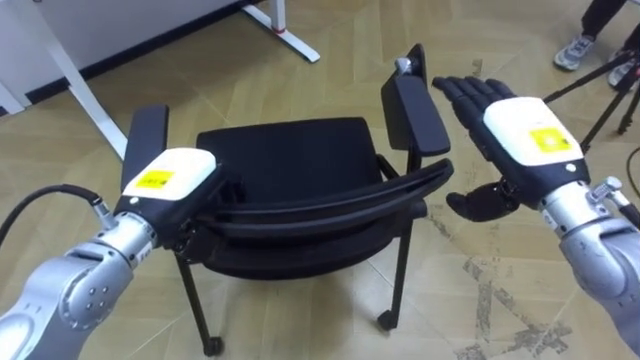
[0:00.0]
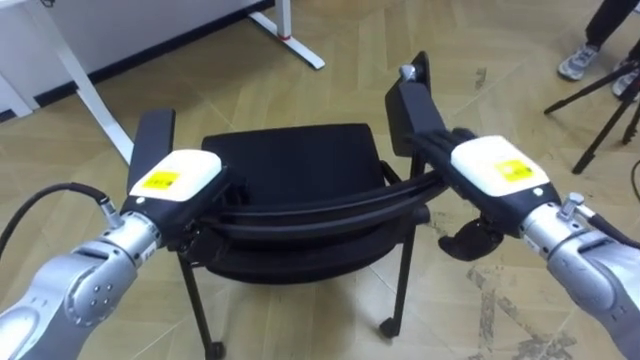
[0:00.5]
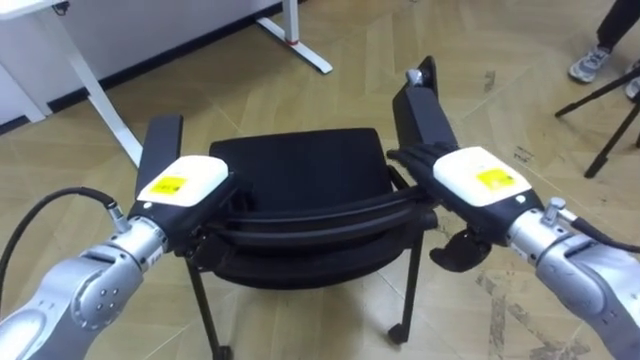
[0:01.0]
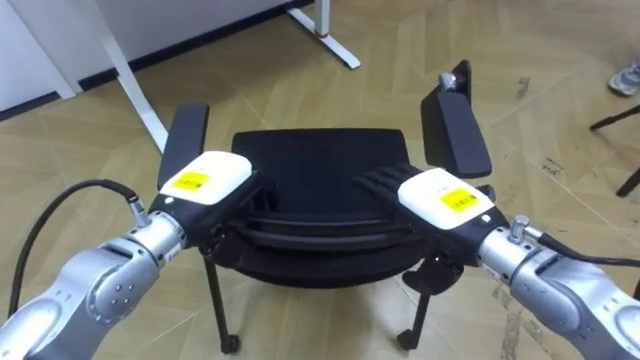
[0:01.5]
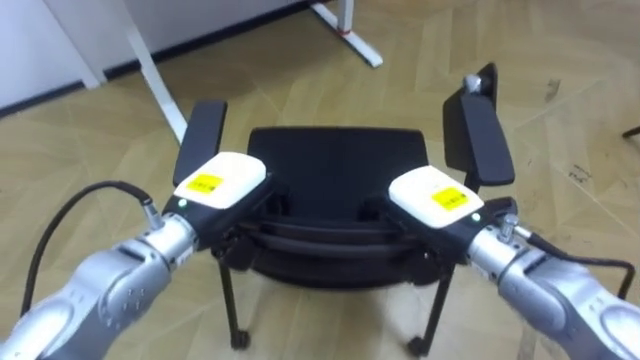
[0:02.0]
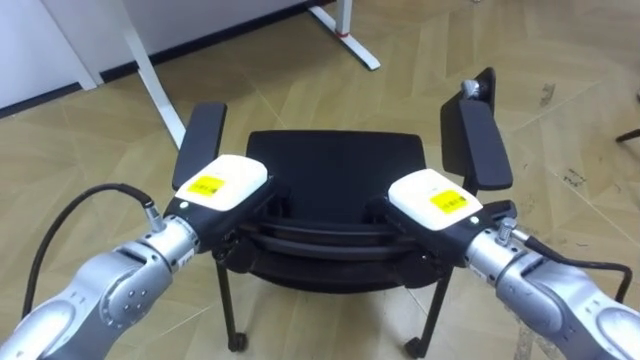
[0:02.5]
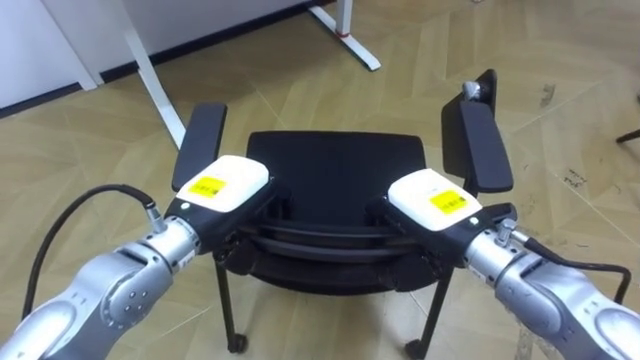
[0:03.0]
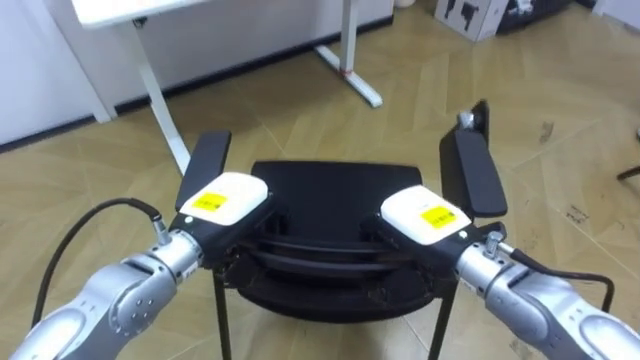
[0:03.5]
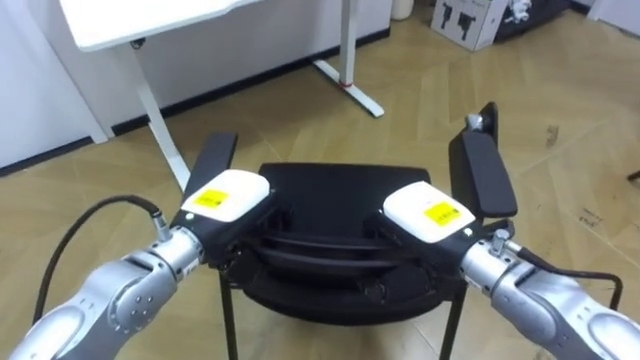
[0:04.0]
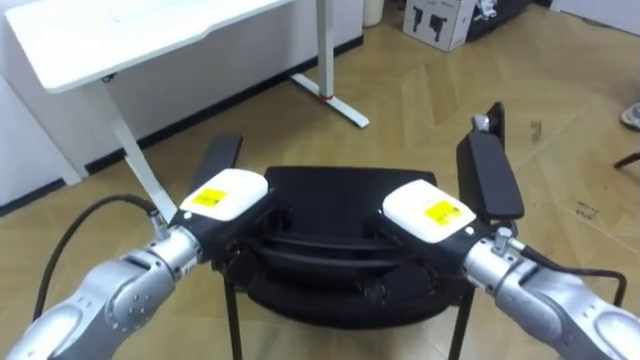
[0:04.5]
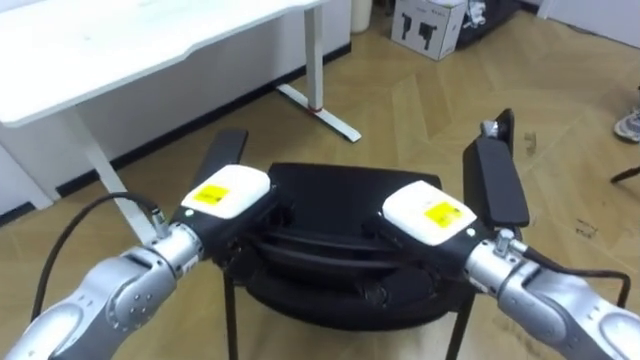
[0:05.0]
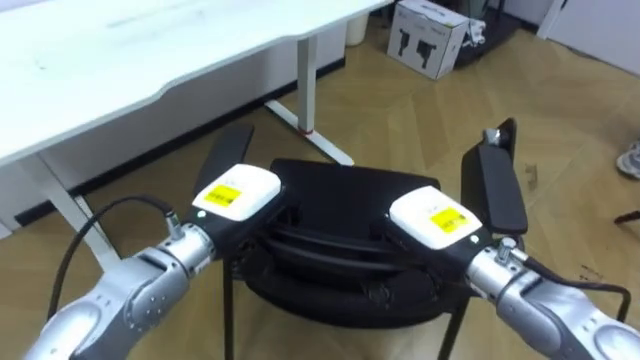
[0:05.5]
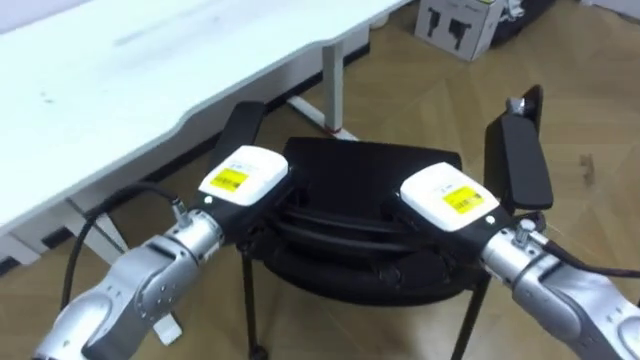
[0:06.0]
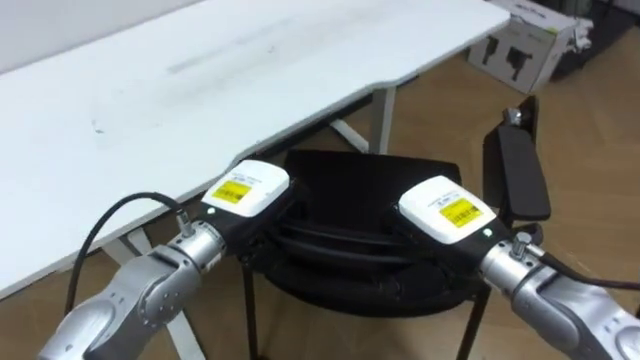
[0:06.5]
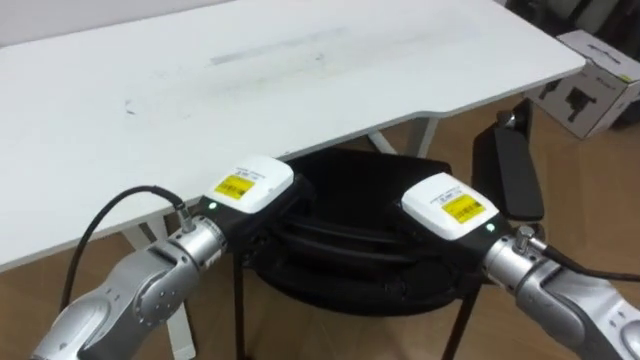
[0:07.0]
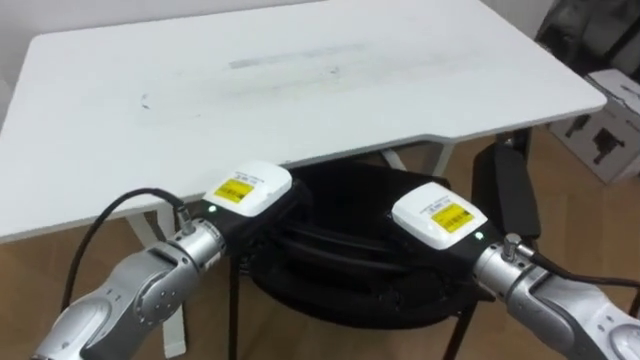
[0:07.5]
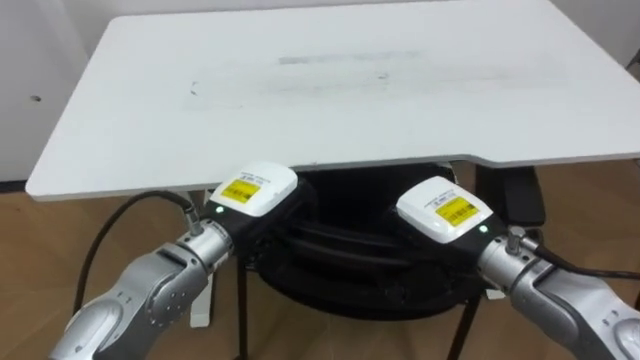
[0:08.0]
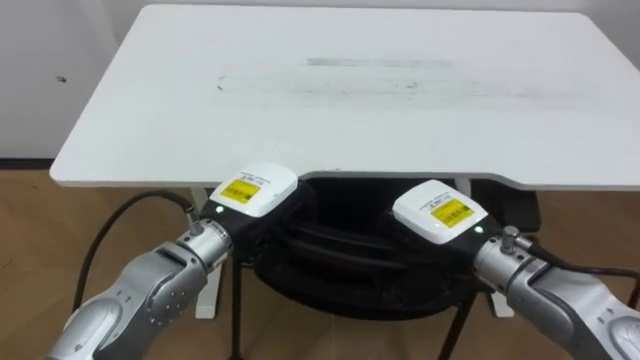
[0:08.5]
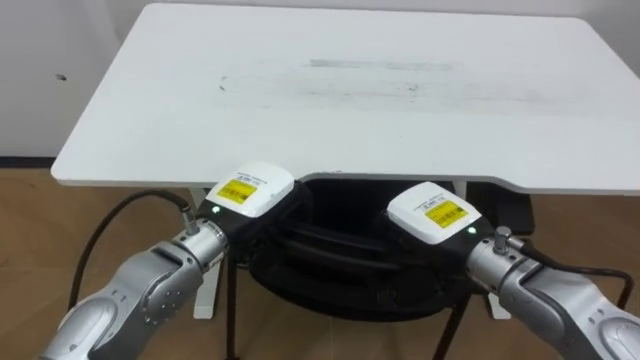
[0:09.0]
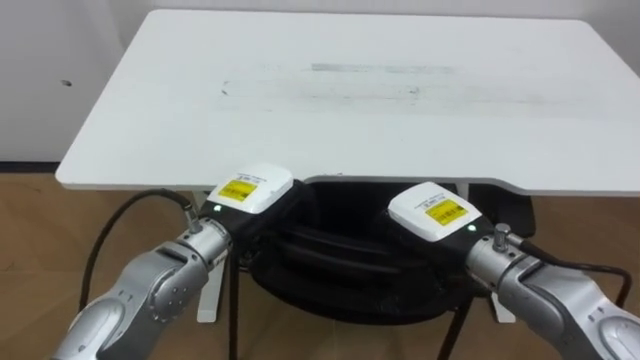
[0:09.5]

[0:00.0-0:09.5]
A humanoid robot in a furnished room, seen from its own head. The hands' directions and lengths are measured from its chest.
Task of the whole recording: Push the chair under the table.
0.0 to 2.0 s: The left hand travels to the right by some 5 cm, while the right hand is displaced to the left and downward by approximately 10 cm, and closes up.
2.0 to 4.0 s: The right hand closes up.
5.5 to 7.5 s: The robot turns to its left by approximately 20 degrees.

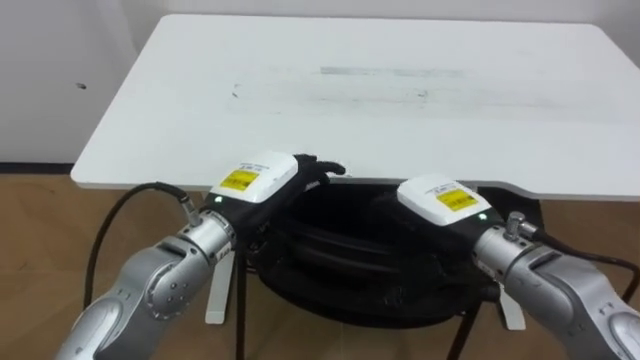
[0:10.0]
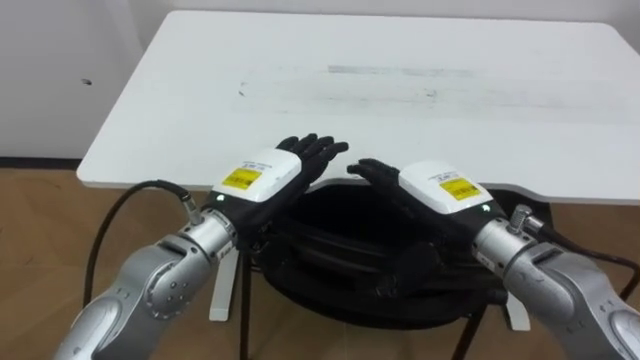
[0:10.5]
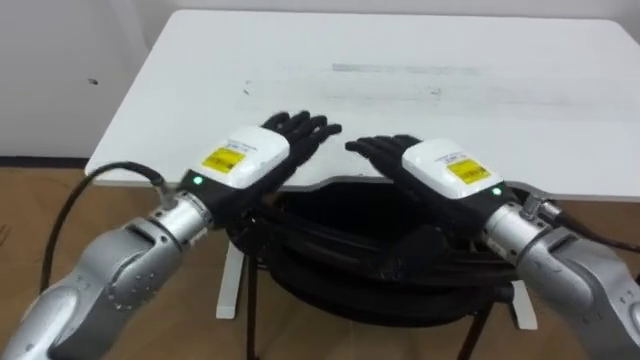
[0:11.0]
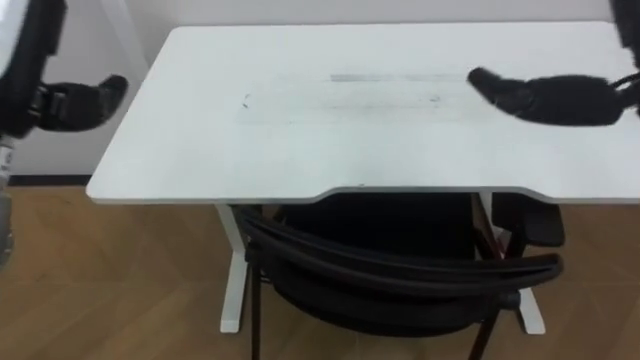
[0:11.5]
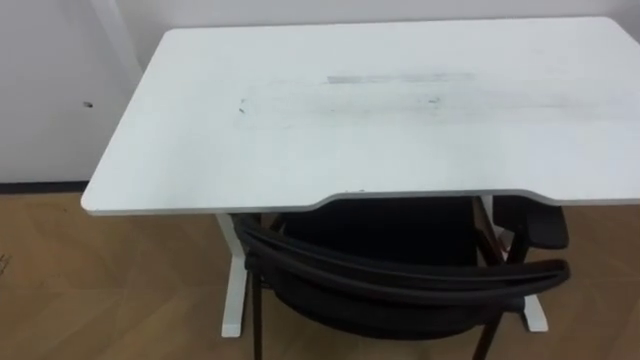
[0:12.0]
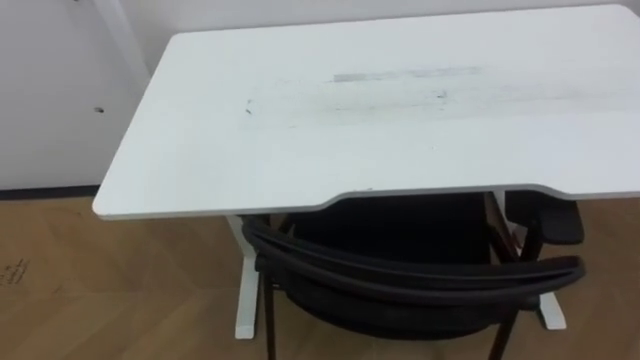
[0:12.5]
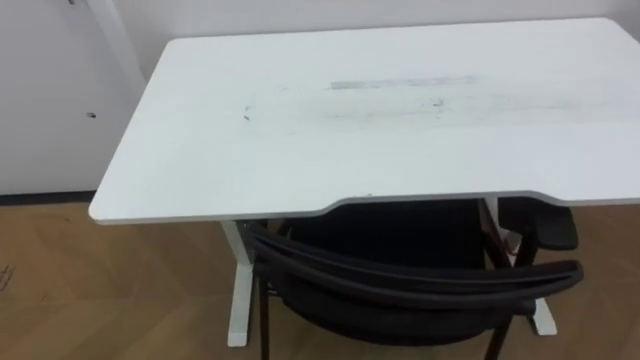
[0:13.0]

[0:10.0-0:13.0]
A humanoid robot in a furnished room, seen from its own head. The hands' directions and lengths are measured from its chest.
Task of the whole recording: Push the chair under the table.
10.0 to 11.5 s: The left hand heads upward and to the left, covering approximately 25 cm.

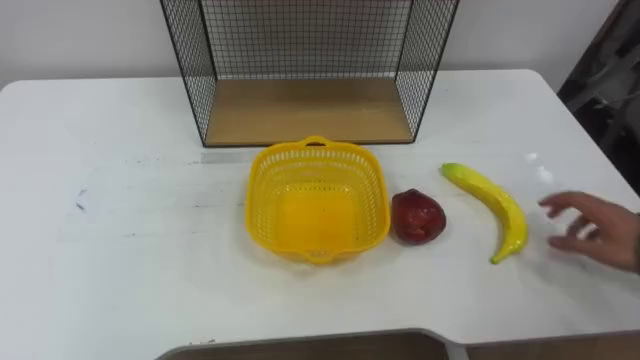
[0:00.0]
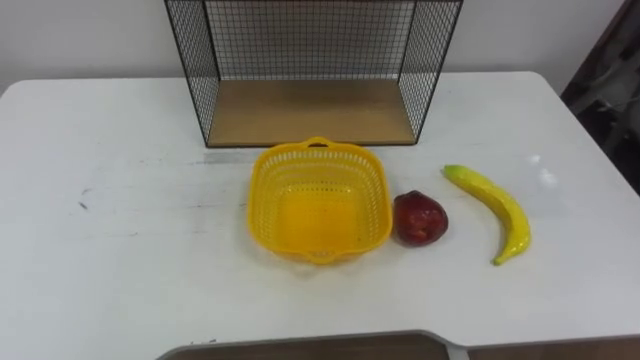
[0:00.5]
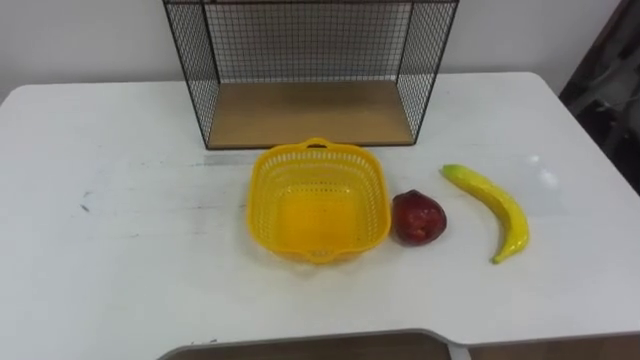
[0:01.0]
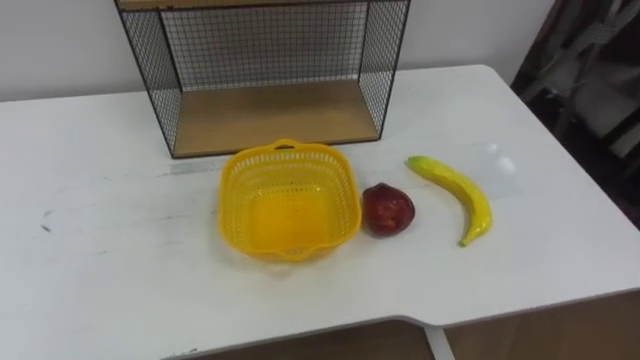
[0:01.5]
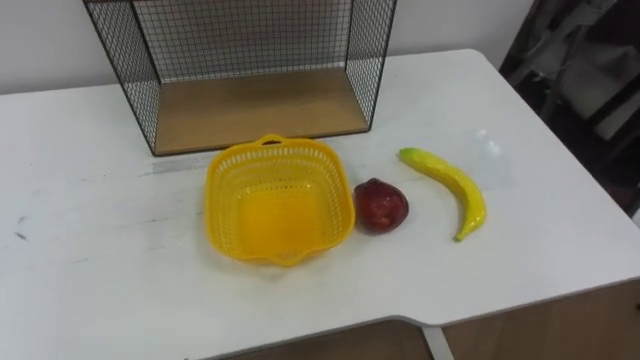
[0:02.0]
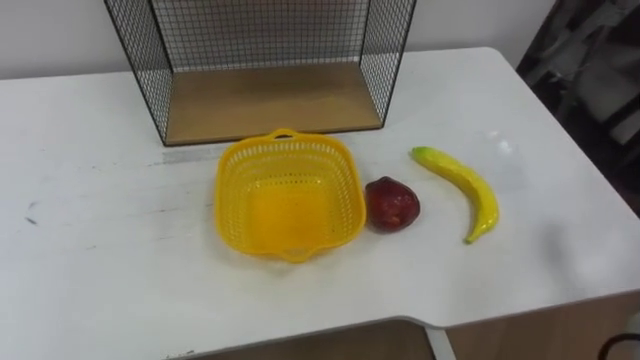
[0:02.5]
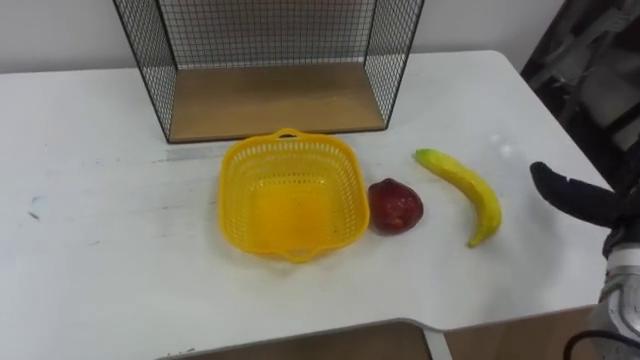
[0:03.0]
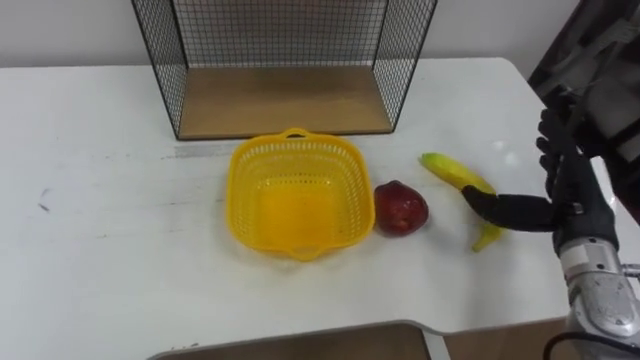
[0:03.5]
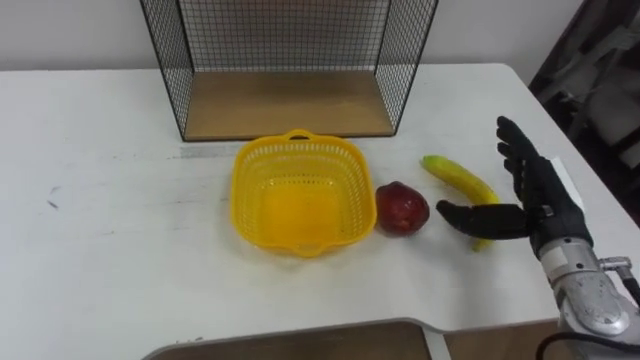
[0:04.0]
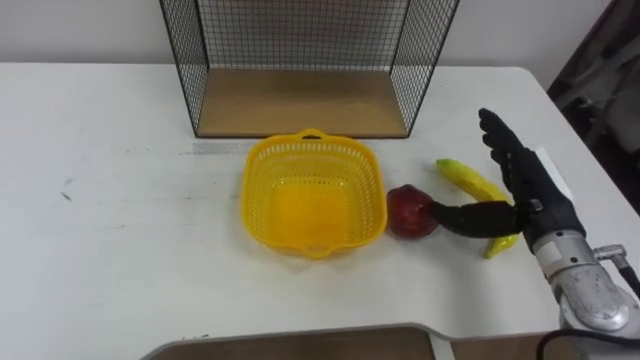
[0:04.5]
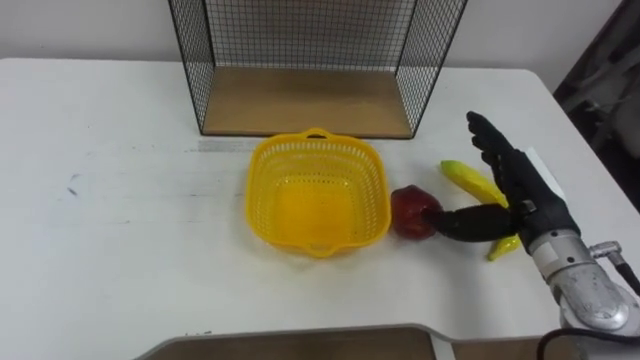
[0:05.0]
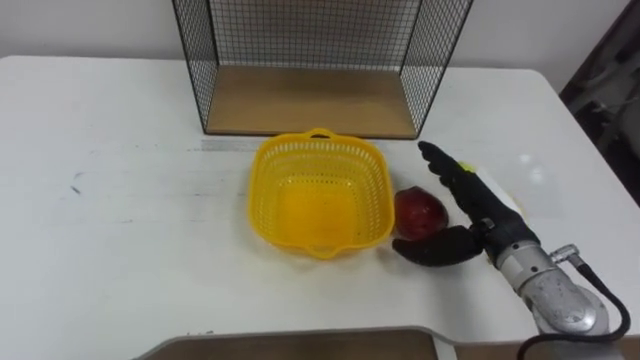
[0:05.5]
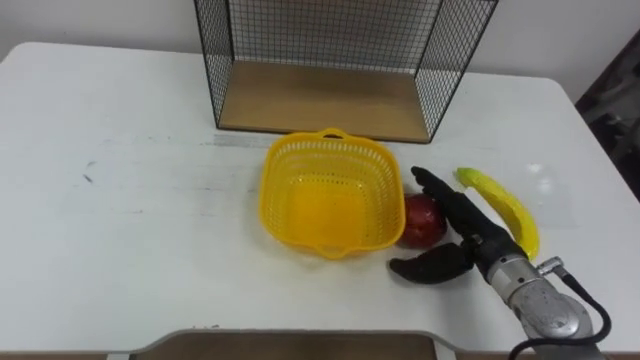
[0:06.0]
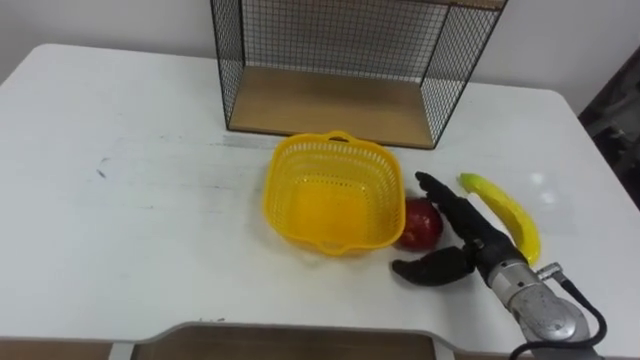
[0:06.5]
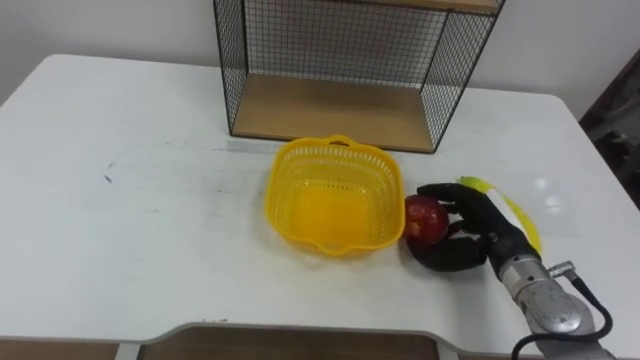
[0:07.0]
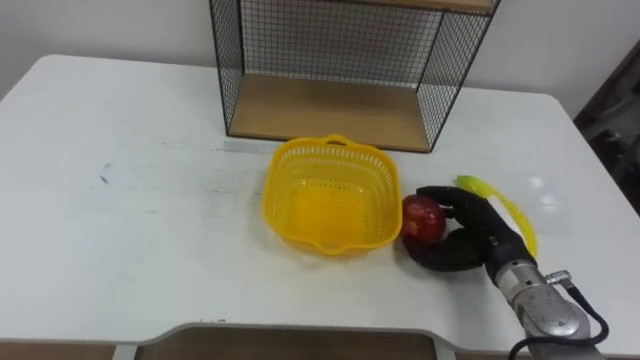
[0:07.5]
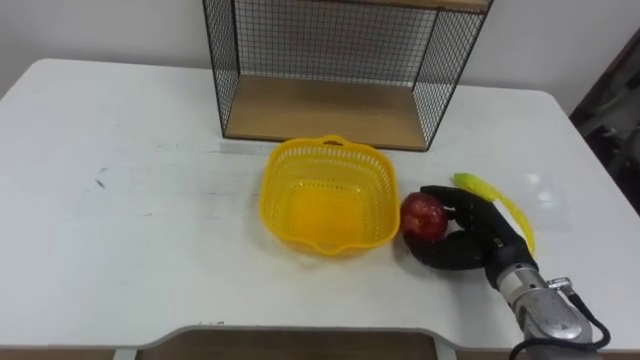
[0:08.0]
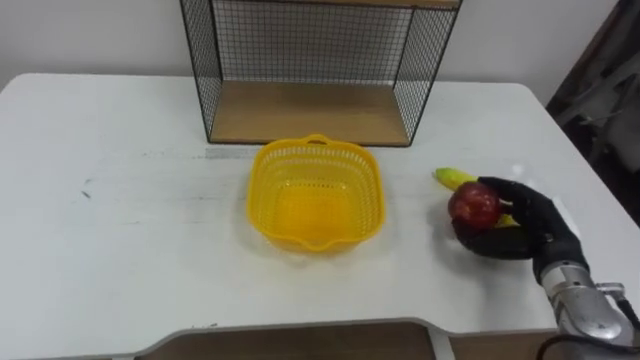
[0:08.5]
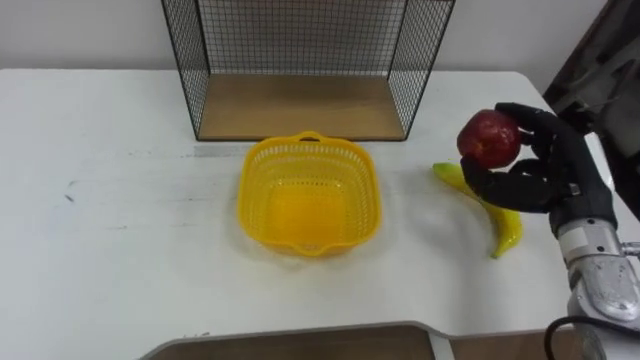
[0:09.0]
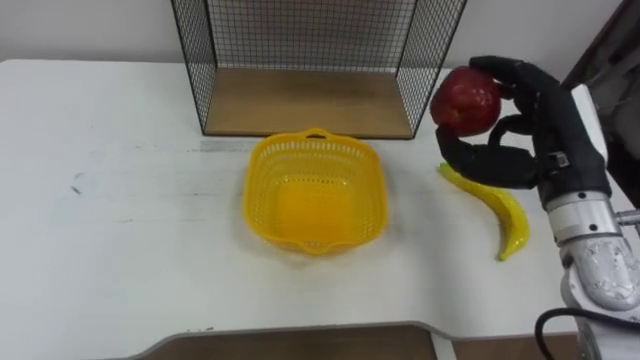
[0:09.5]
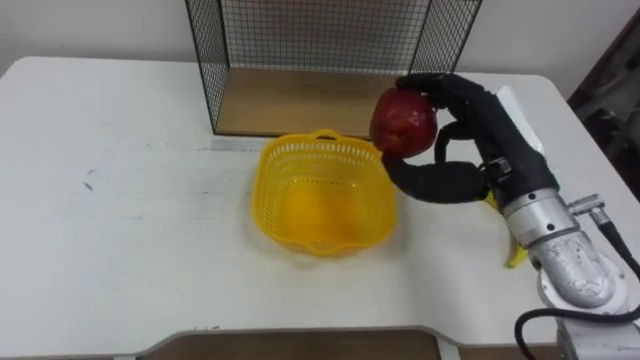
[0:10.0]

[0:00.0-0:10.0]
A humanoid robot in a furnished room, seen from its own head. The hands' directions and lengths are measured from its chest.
Task of the whole recording: Put the fruit on the table into the basket, then place the basket on the shelf.
4.0 to 6.0 s: The right hand travels to the left by some 5 cm.
6.0 to 8.0 s: The right hand closes its fingers.
8.0 to 10.0 s: The right hand moves upward, approximately 15 cm.
